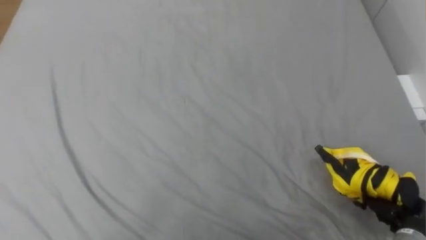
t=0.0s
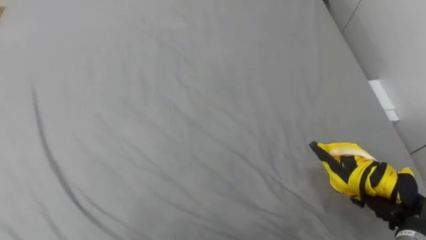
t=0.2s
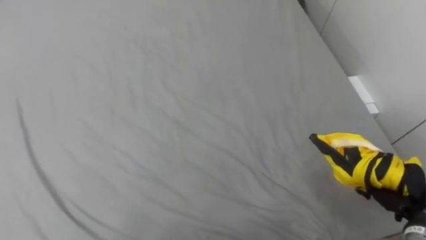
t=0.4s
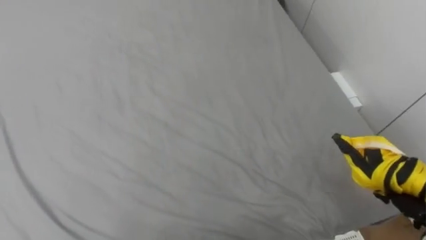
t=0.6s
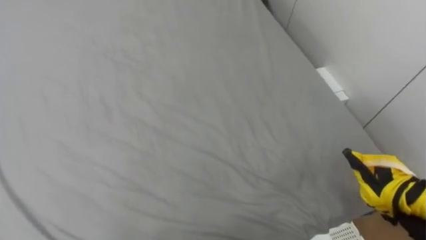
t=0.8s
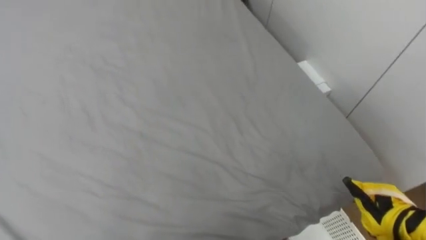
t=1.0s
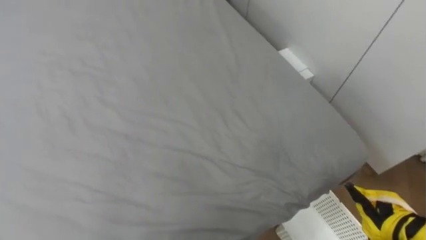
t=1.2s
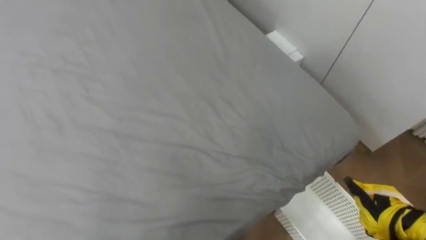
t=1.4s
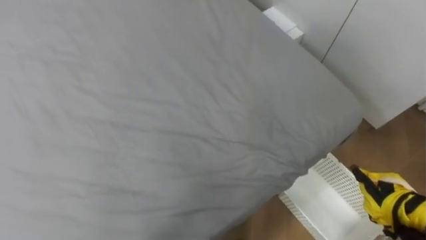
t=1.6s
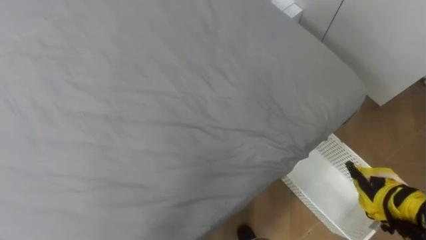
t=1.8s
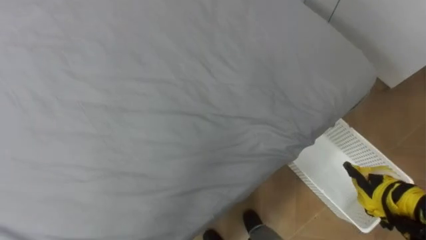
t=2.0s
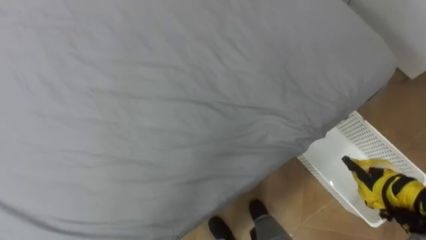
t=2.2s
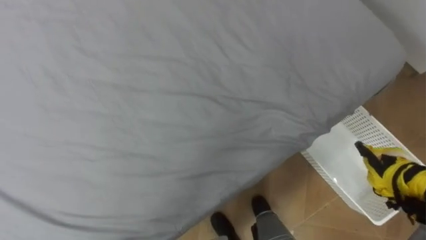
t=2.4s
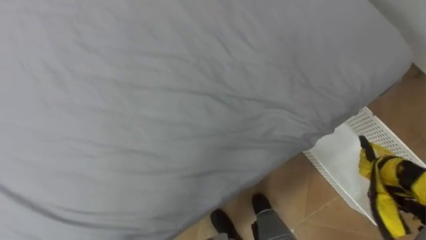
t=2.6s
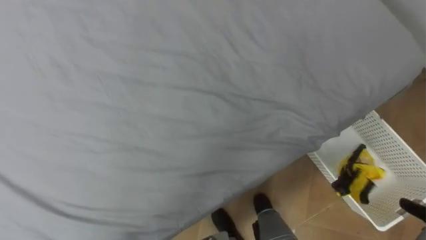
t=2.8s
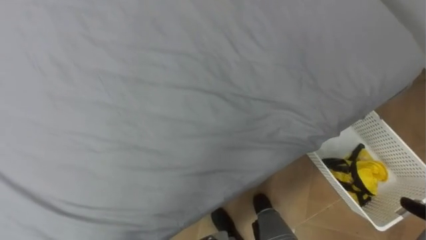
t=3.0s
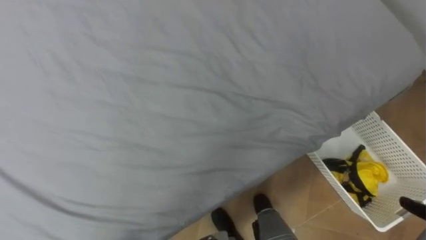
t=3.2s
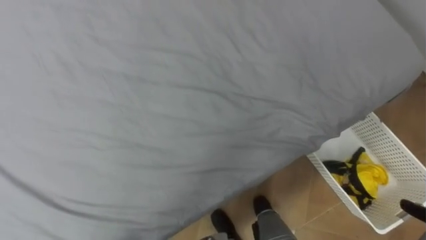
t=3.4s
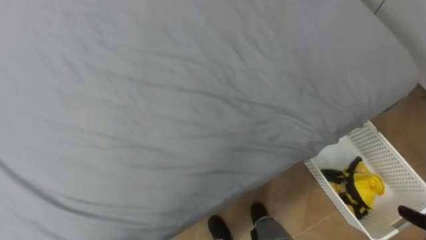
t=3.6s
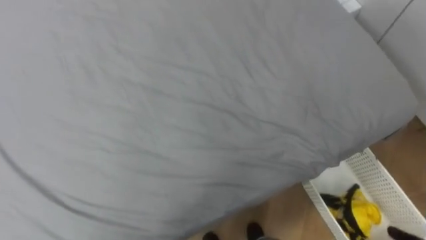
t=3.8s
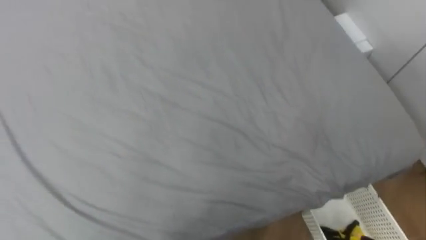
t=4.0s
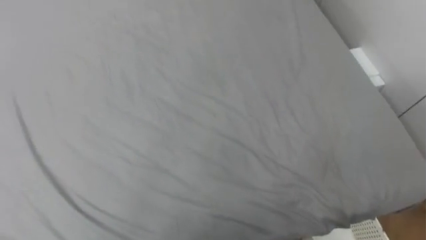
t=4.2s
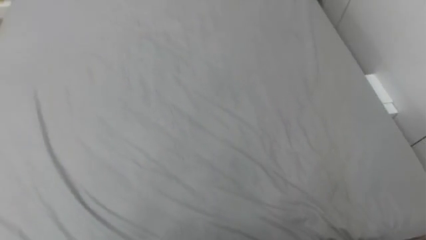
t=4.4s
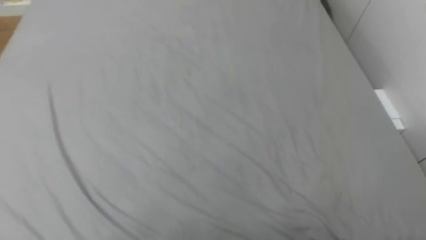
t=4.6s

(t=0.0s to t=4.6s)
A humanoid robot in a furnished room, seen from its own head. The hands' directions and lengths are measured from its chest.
Task of the whole recording: Pick up the yellow clothes on the bed and place them into the white basket on the right.
t=3.0s - t=4.6s: The robot rotates roughly 15 degrees to its left.

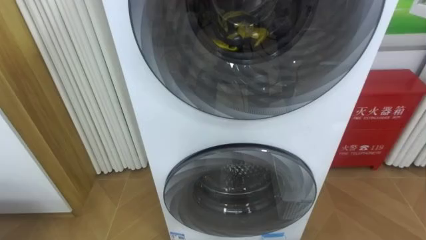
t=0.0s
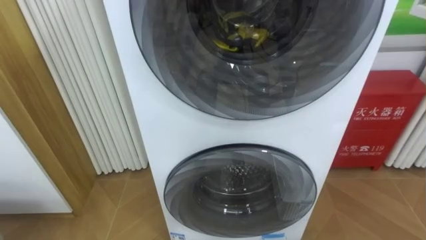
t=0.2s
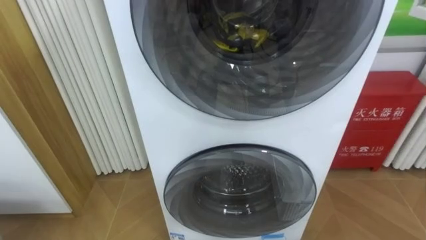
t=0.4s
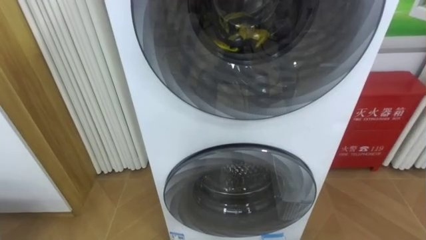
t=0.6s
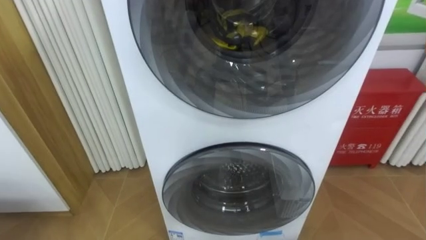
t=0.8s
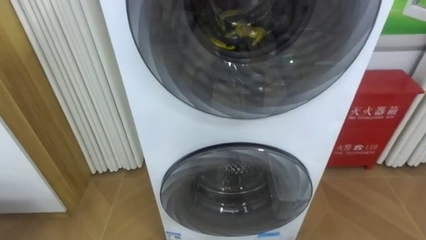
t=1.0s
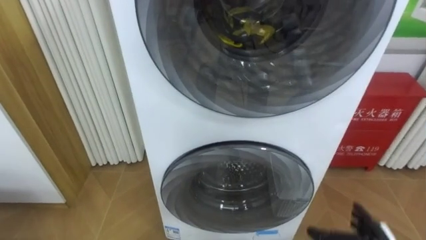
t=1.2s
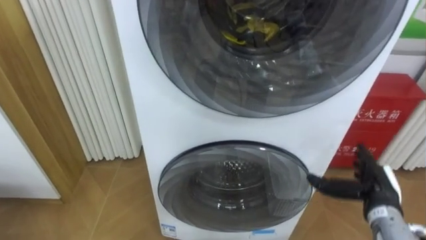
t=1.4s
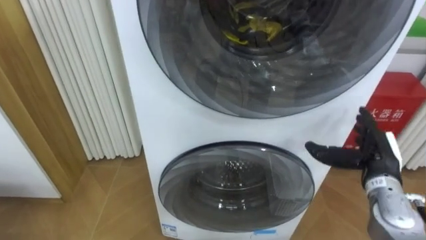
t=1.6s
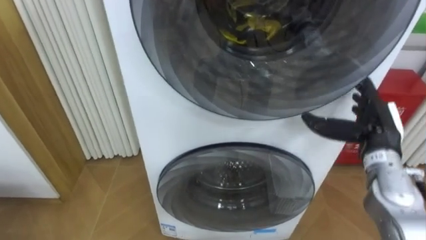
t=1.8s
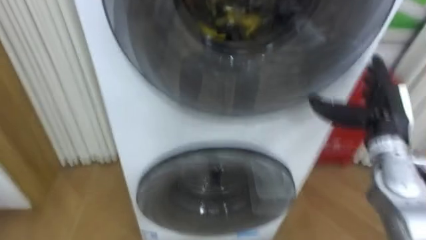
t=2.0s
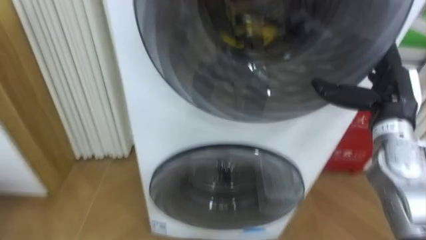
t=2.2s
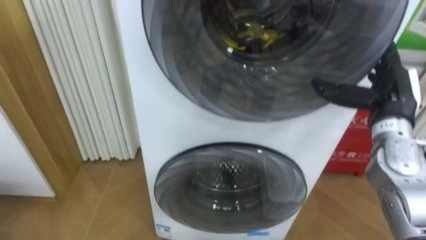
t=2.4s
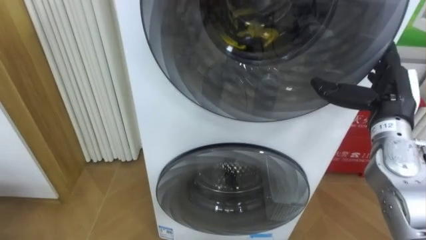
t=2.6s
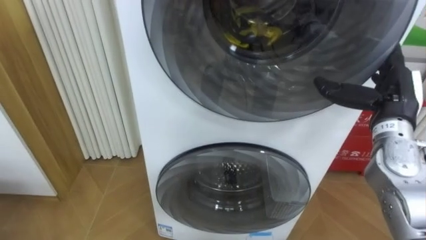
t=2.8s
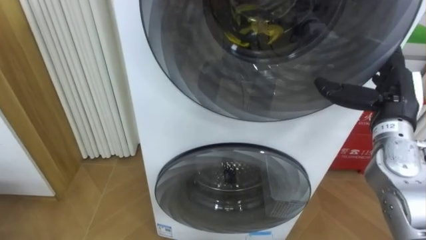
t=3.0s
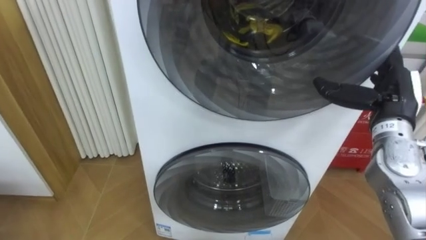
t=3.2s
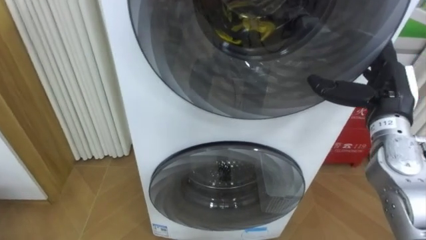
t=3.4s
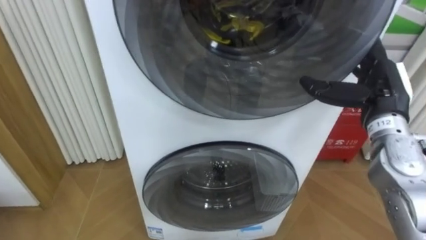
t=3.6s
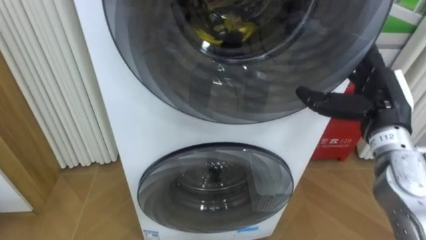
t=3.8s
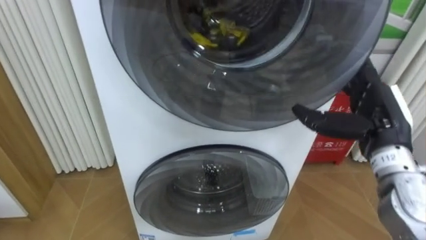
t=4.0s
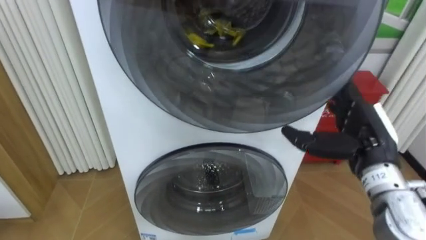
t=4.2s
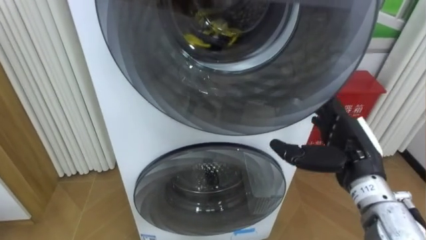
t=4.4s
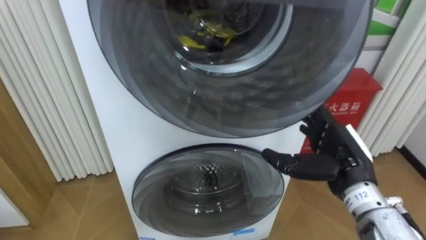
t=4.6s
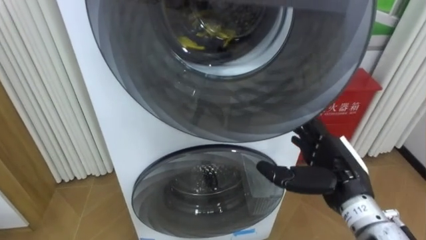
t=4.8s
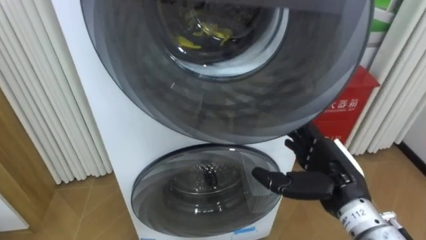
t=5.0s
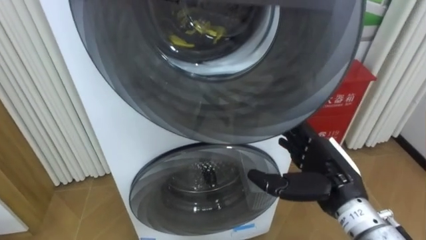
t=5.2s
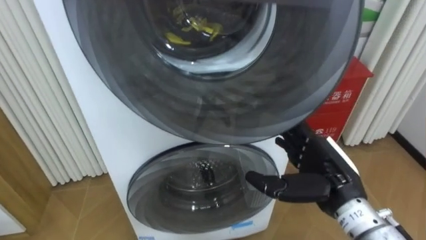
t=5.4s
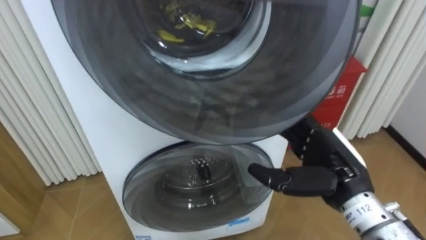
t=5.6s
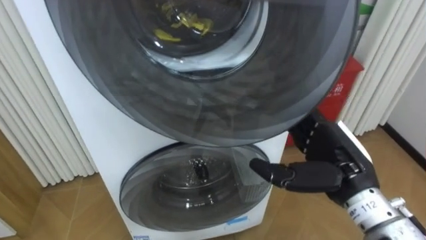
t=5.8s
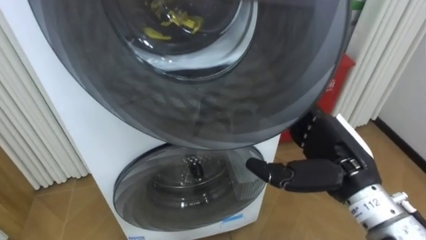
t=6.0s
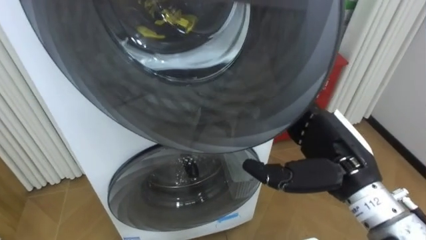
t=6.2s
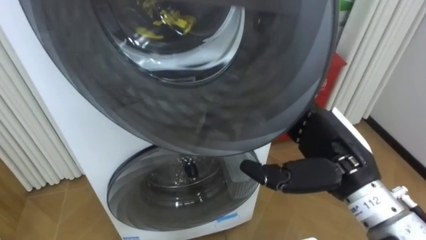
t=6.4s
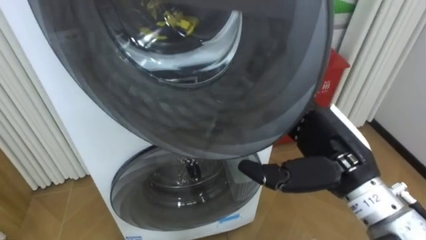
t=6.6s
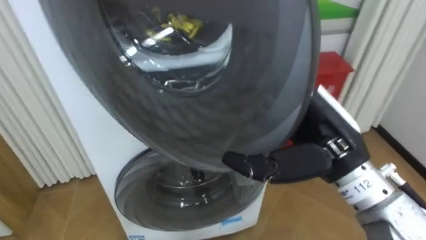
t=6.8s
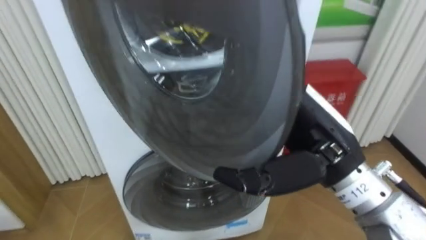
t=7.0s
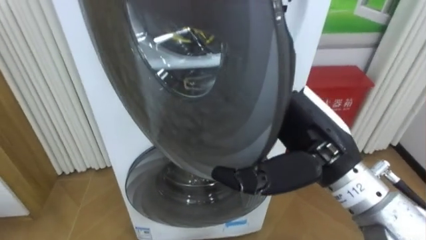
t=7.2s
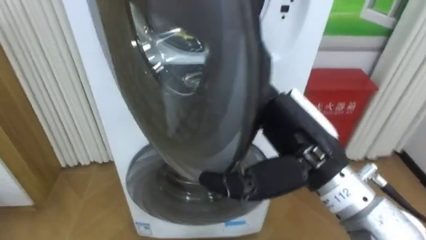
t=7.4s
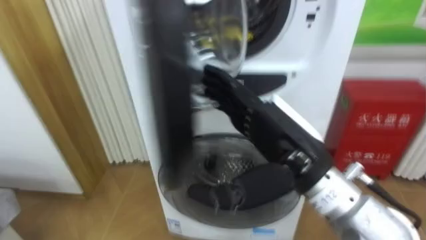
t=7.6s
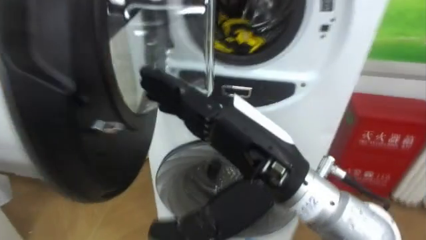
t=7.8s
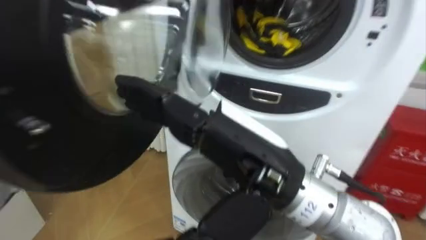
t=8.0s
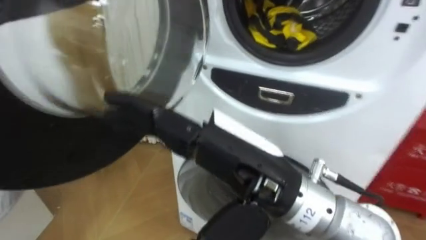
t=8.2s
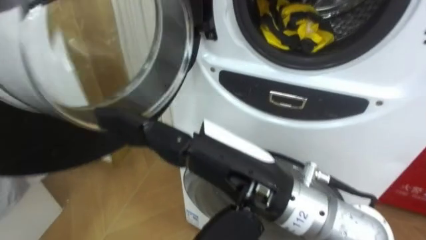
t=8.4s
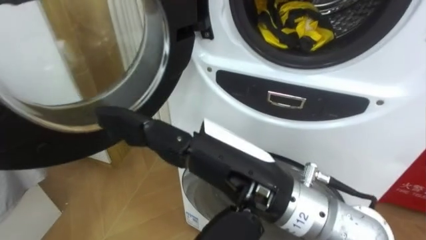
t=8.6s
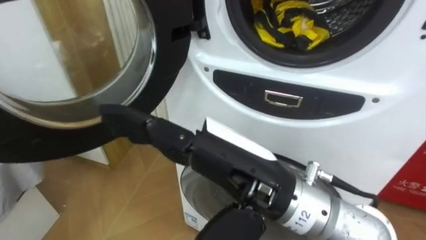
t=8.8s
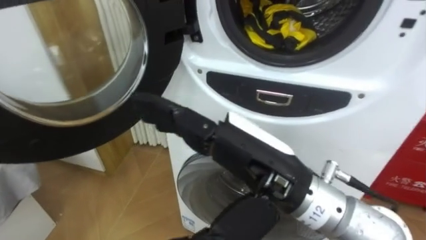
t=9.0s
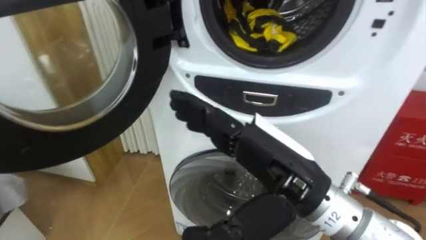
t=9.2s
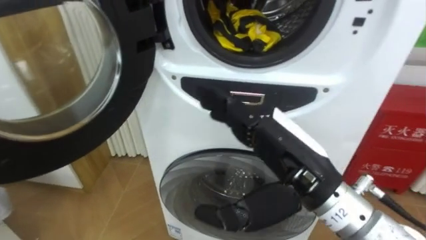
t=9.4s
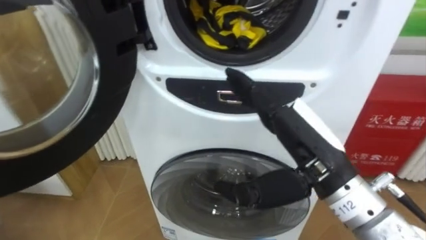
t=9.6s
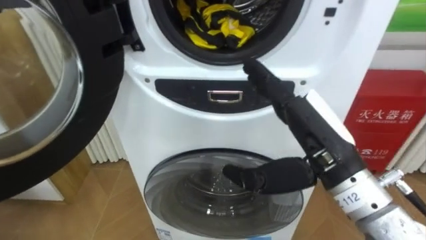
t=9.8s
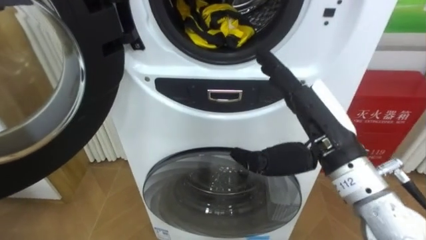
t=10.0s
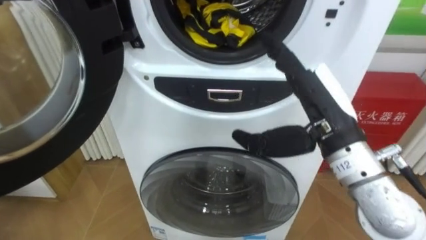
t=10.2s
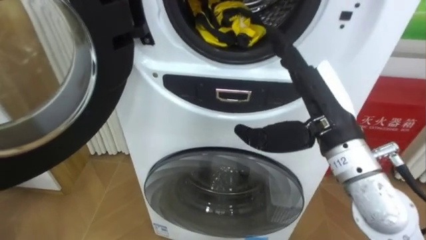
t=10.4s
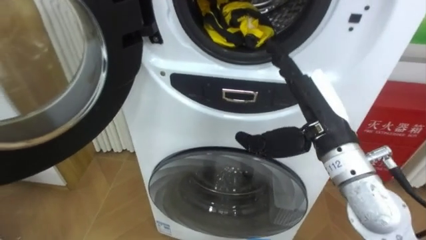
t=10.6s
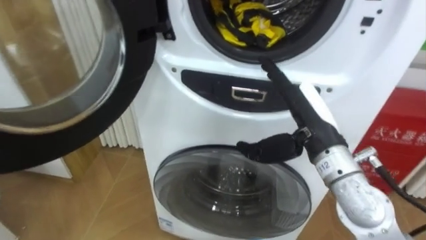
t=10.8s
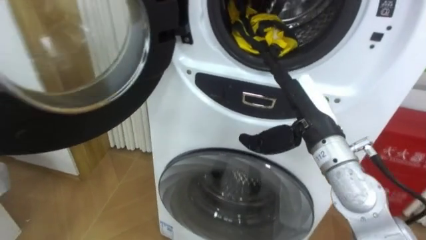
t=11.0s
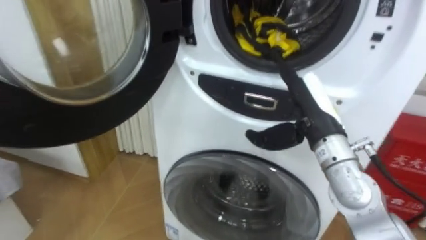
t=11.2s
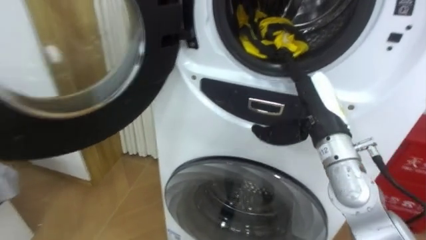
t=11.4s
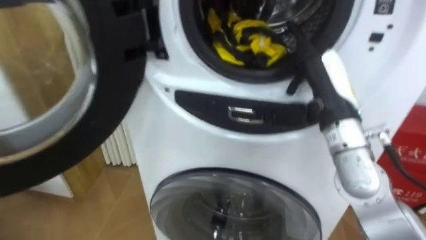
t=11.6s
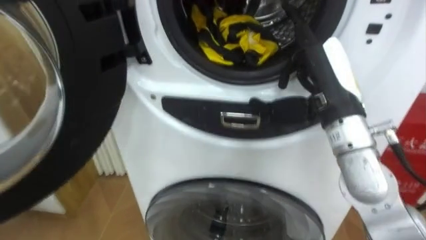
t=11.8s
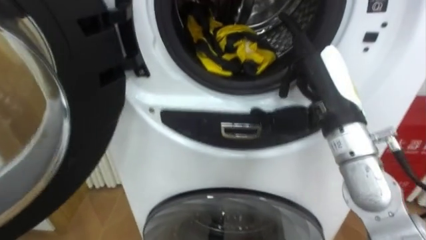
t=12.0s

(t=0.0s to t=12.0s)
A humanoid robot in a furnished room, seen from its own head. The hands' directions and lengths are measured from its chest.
Task of the whole recording: Open the washing machine door, take out the yellow clothes, place them in the box on the right, and close the washing machine door.
t=1.6s - t=3.0s: The right hand travels upward by about 10 cm.
t=3.0s - t=4.4s: The right hand goes roughly 10 cm to the left, backward and downward.
t=4.4s - t=6.0s: The right hand moves approximately 5 cm.
t=6.0s - t=7.6s: The right hand moves to the left and upward, roughly 10 cm.
t=9.0s - t=10.4s: The right hand moves to the right and forward, approximately 15 cm.
